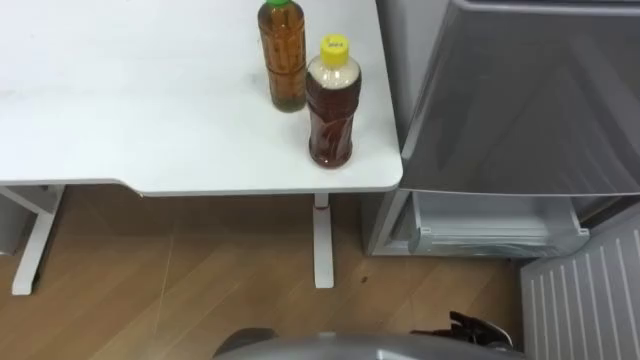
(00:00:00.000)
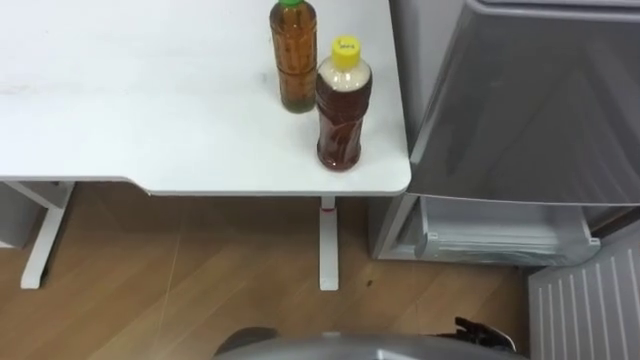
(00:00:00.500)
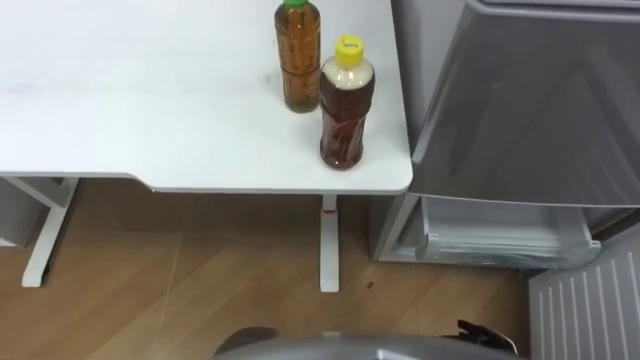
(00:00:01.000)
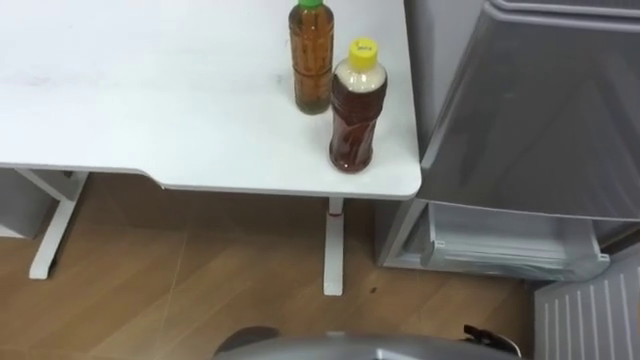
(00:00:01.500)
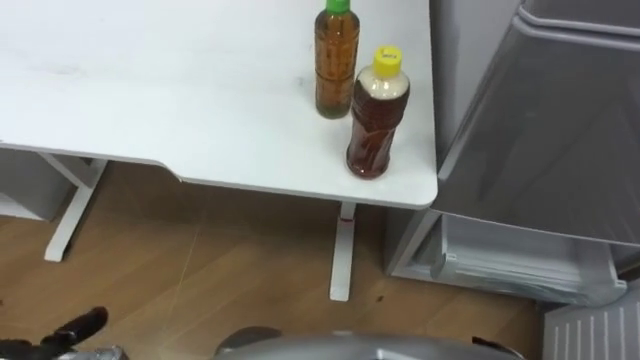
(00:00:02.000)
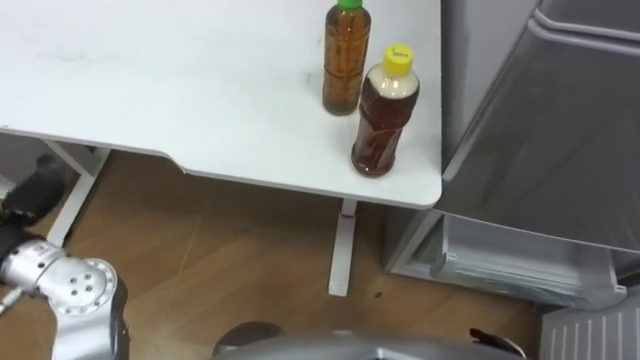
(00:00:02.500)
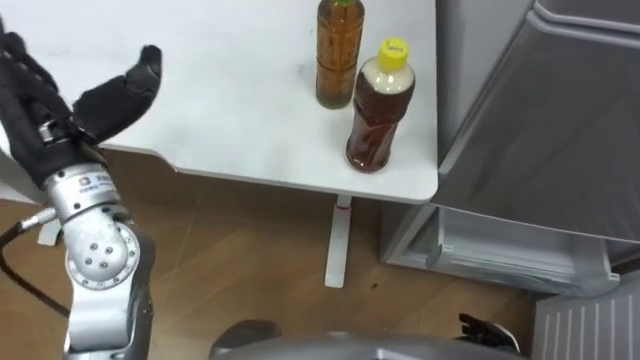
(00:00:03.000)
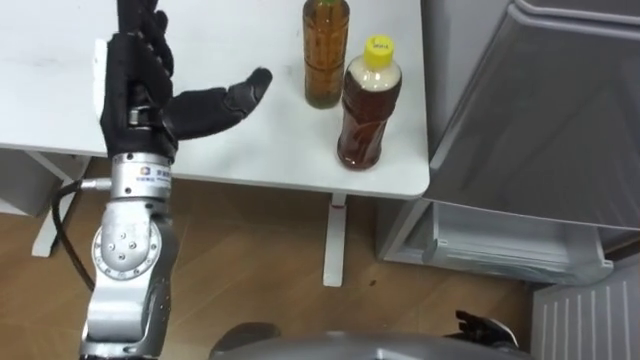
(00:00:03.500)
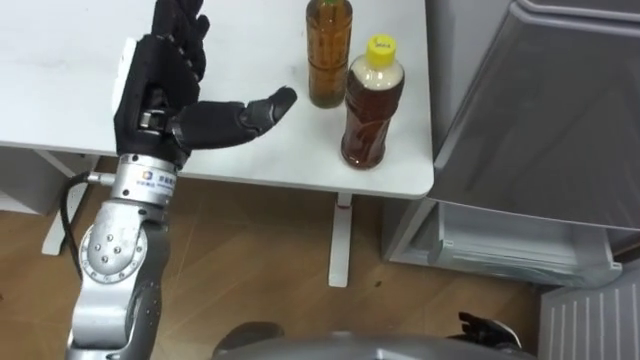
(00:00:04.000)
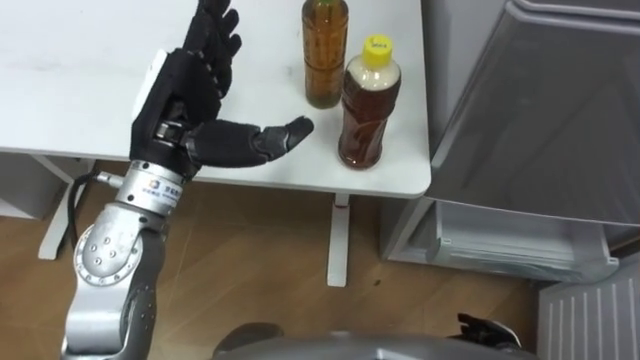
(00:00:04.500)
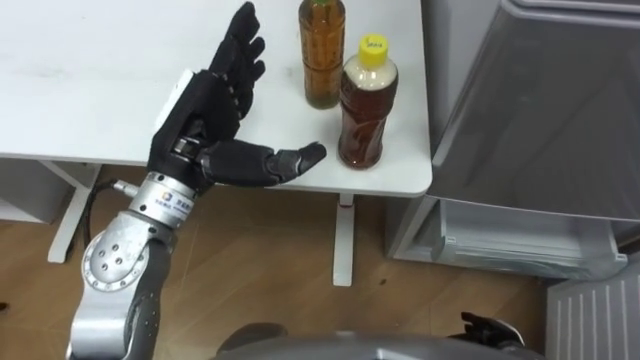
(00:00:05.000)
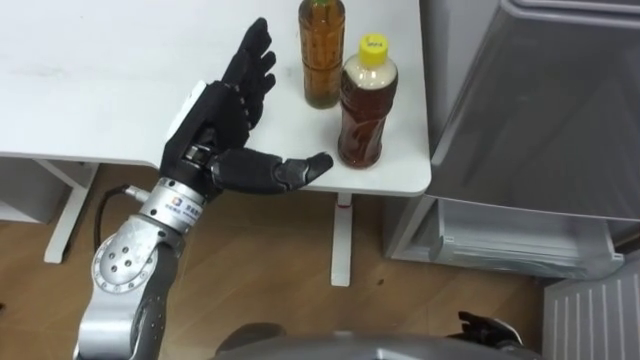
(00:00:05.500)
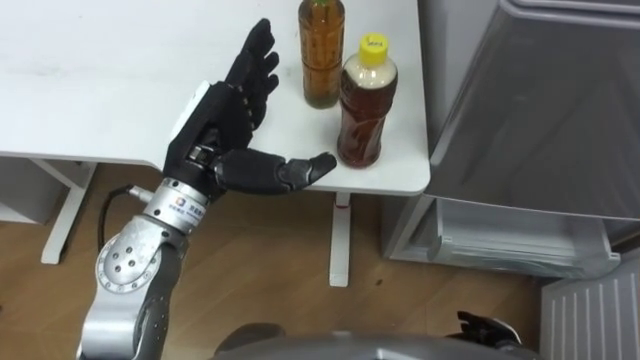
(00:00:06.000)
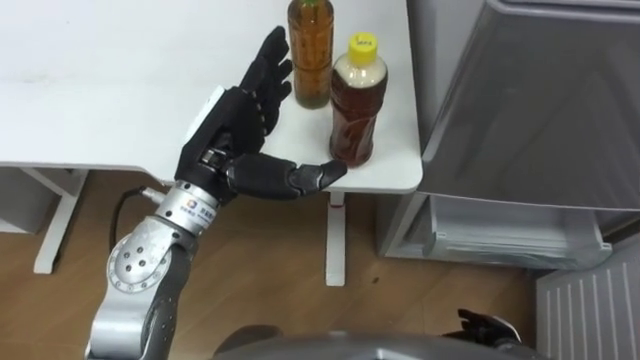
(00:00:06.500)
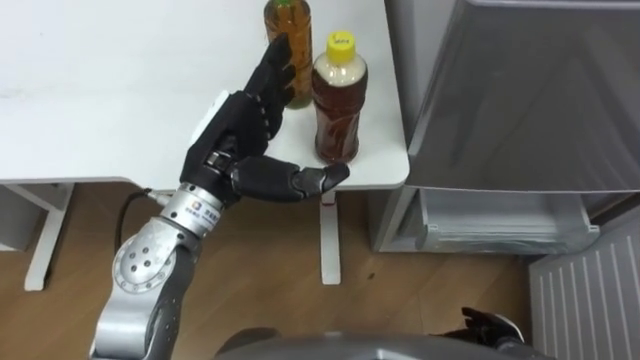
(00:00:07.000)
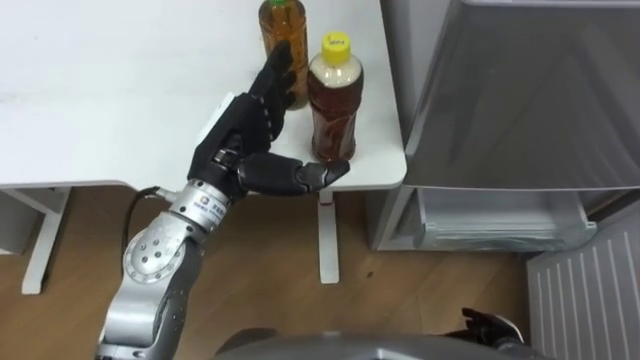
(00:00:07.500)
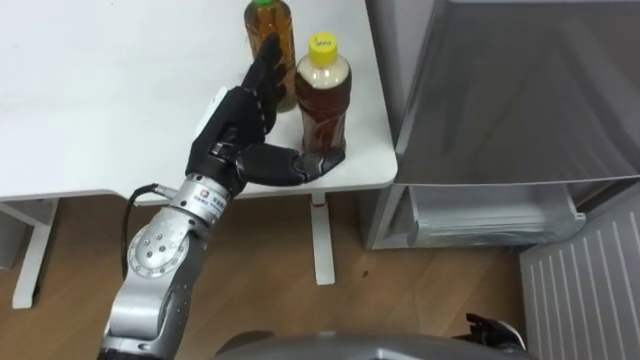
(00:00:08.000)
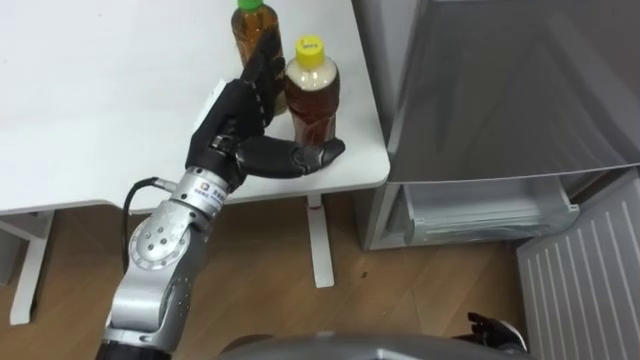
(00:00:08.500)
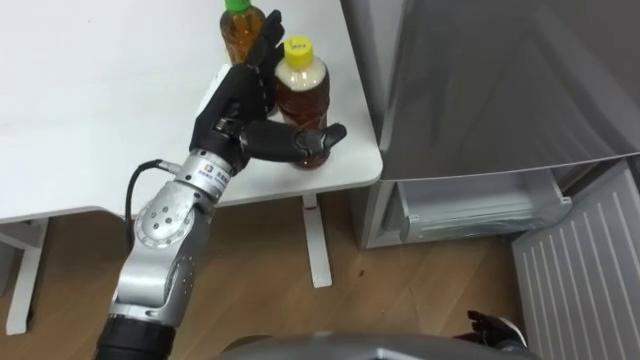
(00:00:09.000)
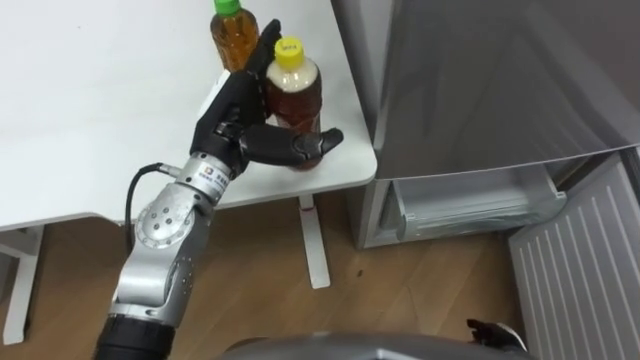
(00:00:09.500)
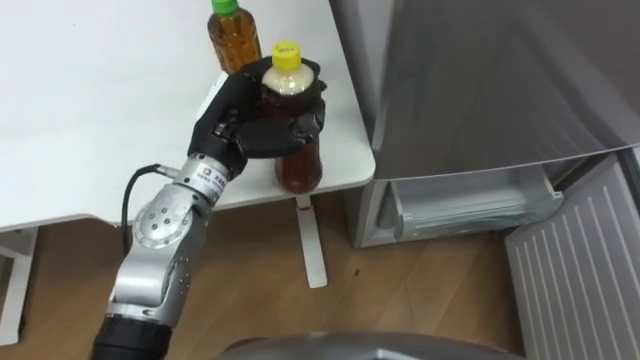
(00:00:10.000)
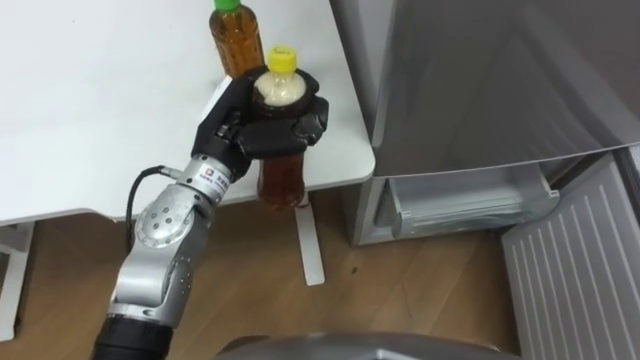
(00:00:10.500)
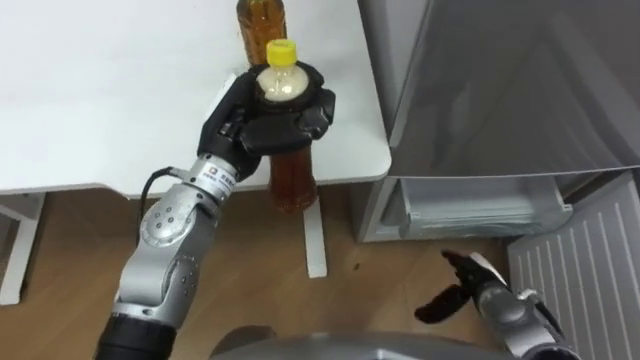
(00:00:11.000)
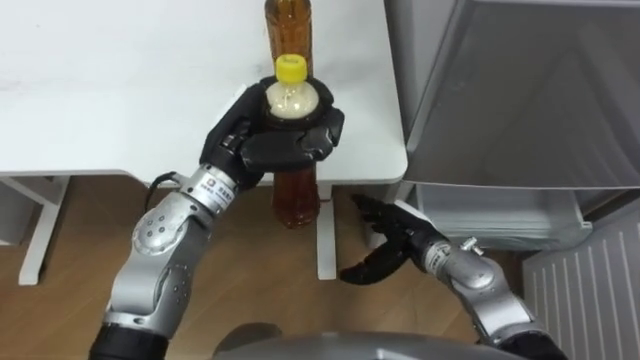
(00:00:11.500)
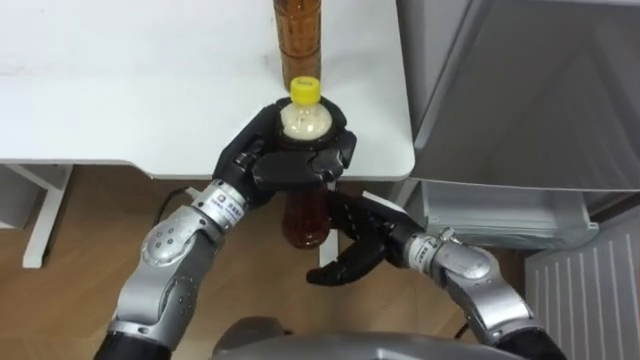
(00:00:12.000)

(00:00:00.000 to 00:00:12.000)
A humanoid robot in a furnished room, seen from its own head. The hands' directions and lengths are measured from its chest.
Task of the whole recording: Place the drink on the table on the bottom shelf of the refrigerator, then close the drawer and the refrigerator door.
00:00:04.000 - 00:00:06.000: The left hand changes place by approximately 5 cm.
00:00:08.000 - 00:00:10.000: The left hand closes its fingers.

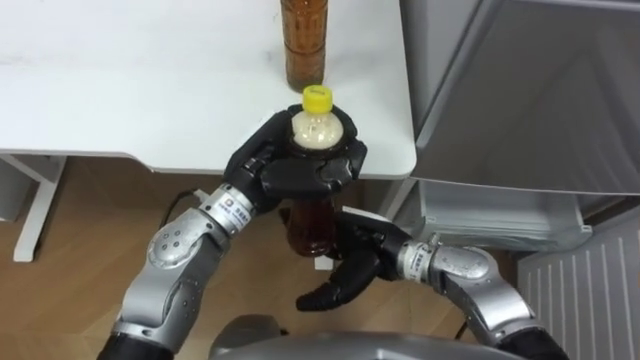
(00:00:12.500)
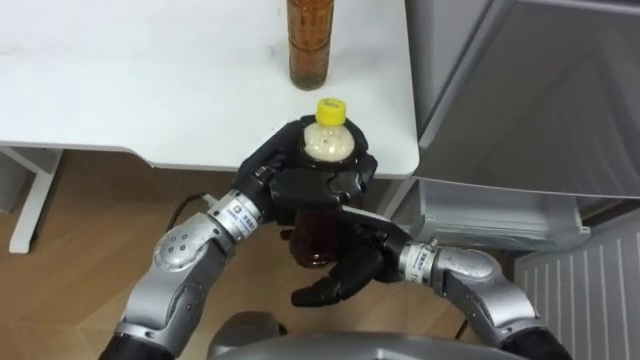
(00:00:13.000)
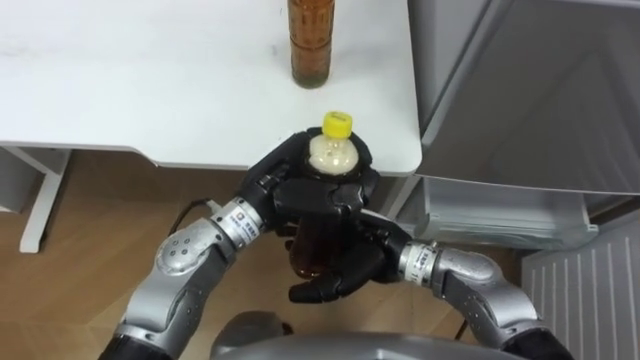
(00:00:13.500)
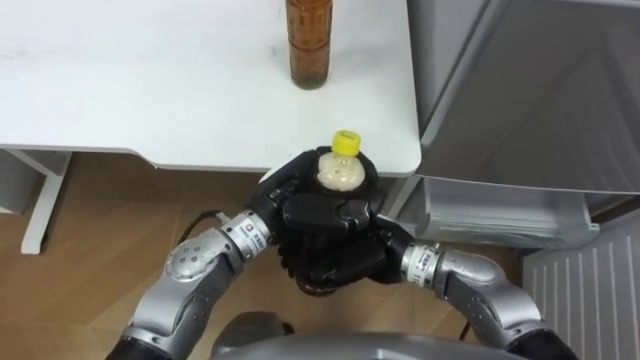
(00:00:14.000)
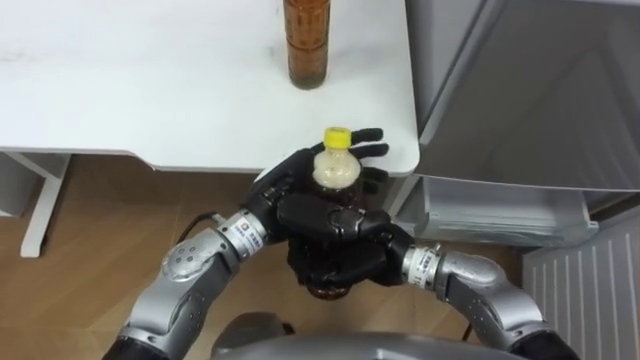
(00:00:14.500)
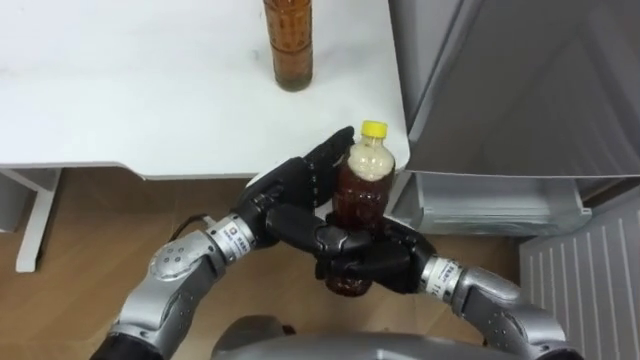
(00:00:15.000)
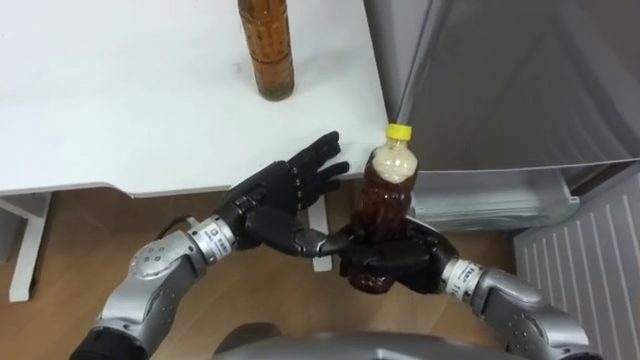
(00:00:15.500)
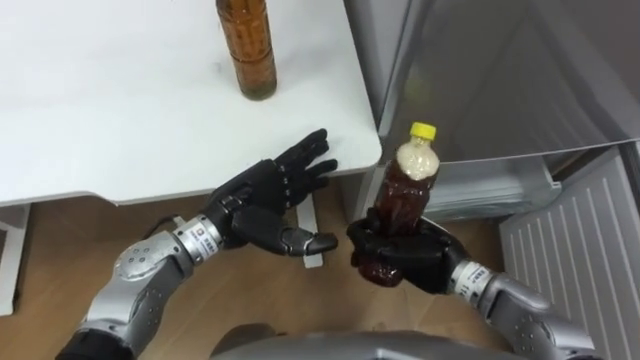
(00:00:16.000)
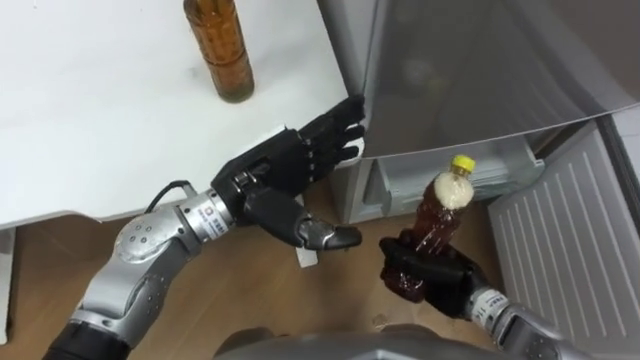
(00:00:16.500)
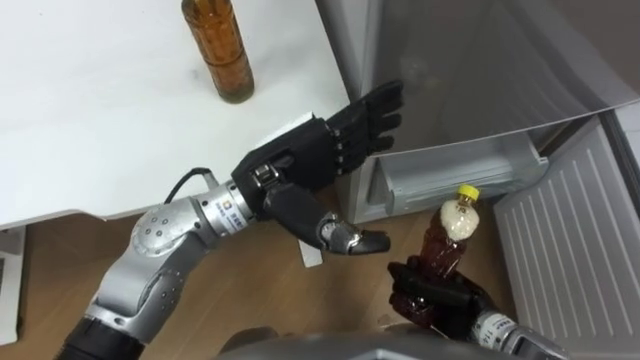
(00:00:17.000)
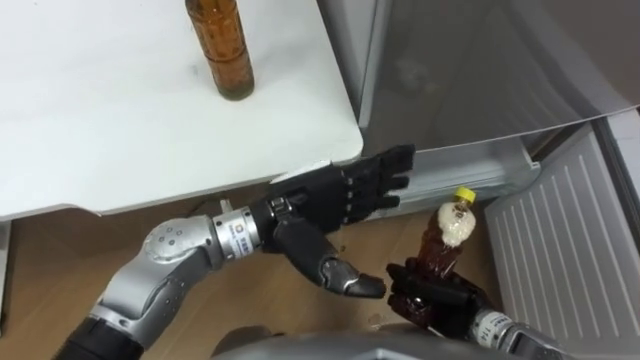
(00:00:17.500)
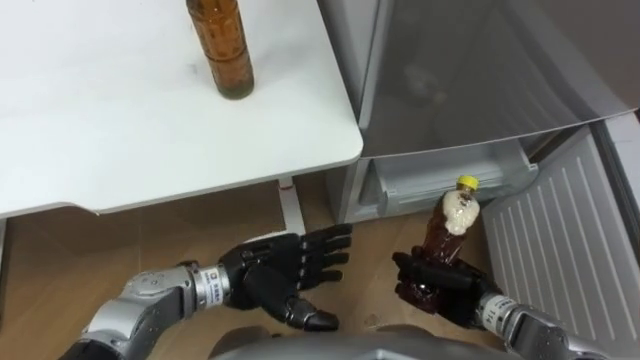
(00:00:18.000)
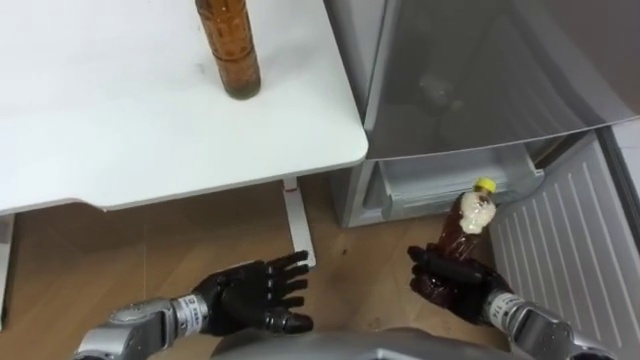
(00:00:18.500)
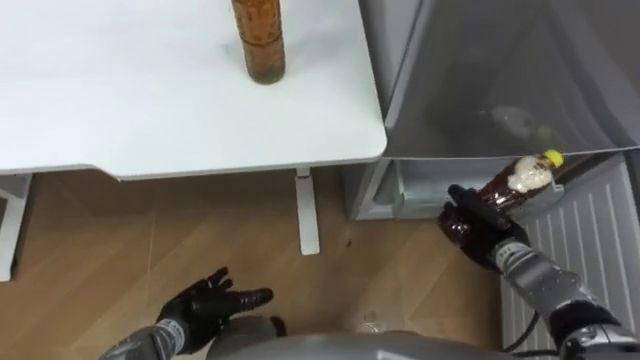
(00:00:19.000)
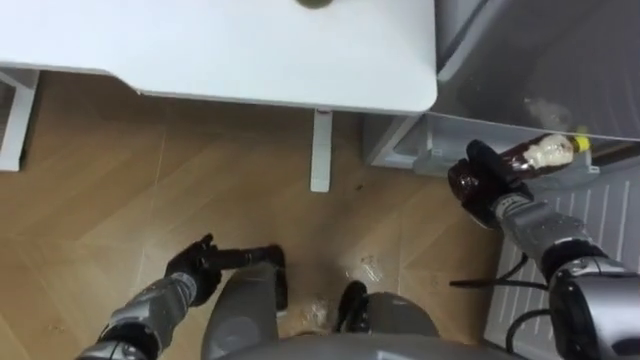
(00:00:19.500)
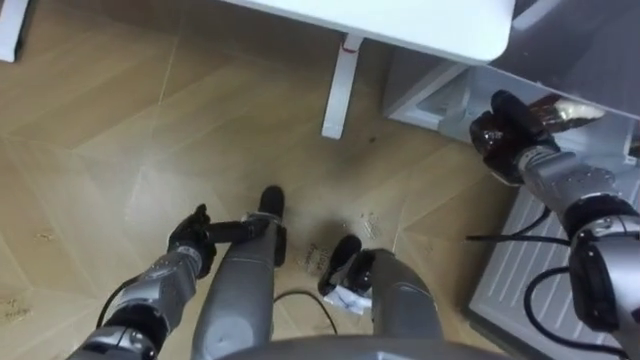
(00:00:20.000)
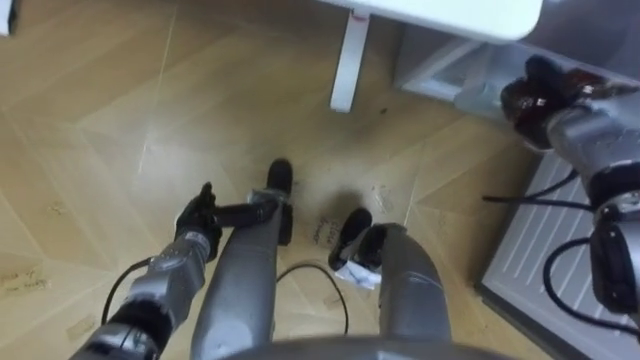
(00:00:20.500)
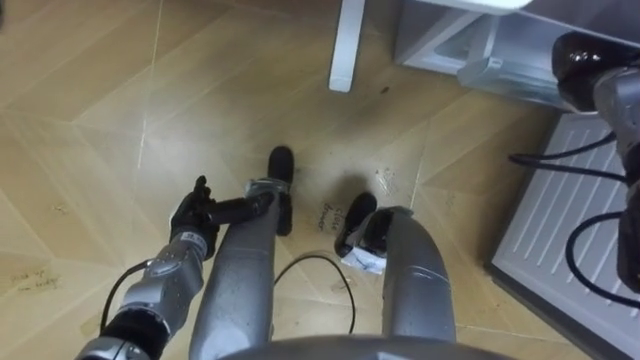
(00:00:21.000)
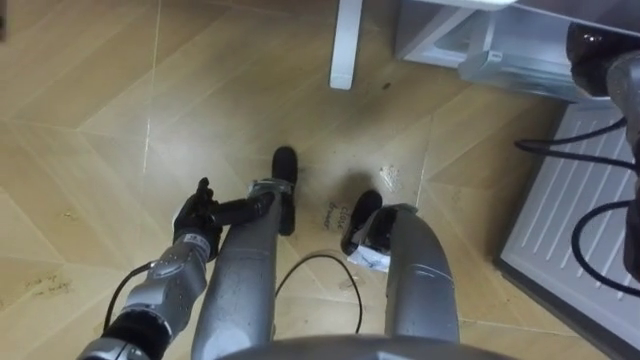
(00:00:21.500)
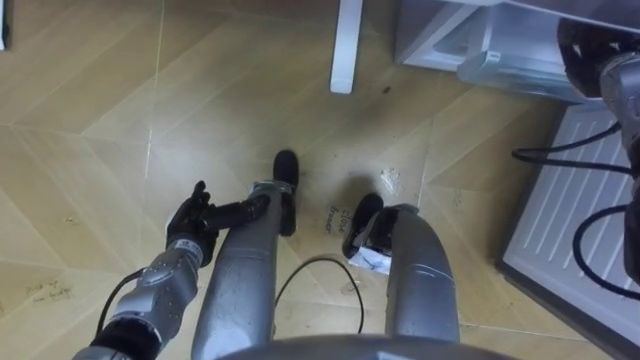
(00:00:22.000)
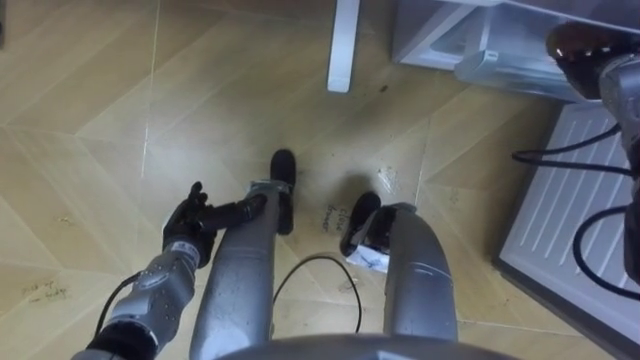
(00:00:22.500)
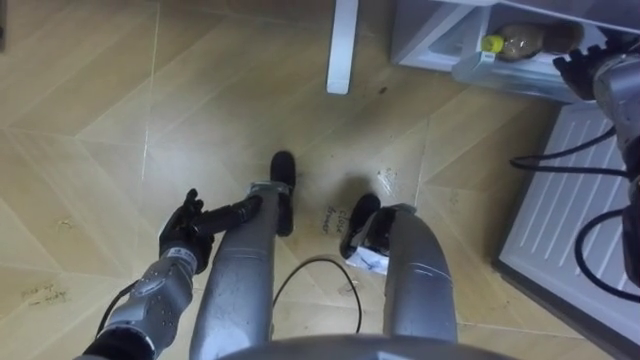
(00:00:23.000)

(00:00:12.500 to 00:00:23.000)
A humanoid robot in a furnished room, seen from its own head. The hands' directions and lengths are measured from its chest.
Task of the whole recording: Place the drink on the table on the bottom shelf of the refrigerator, then close the drawer and the refrigerator door.
00:00:12.500 - 00:00:14.500: The left hand moves about 5 cm, and opens. The right hand closes up.
00:00:14.500 - 00:00:16.500: The right hand shifts some 15 cm to the right and downward.
00:00:16.500 - 00:00:19.000: The left hand is displaced downward, backward and to the left by about 30 cm. Meanwhile the right hand moves to the right, approximately 10 cm.
00:00:19.000 - 00:00:21.000: The right hand heads upward, forward and to the right, covering about 25 cm. The left hand heads forward, covering roughly 10 cm.
00:00:21.000 - 00:00:23.000: The right hand opens up.
